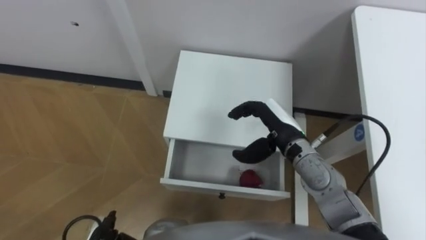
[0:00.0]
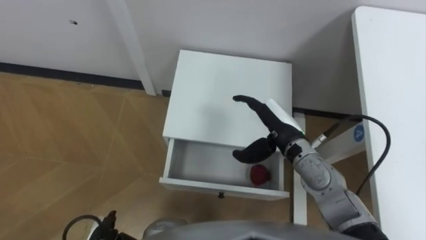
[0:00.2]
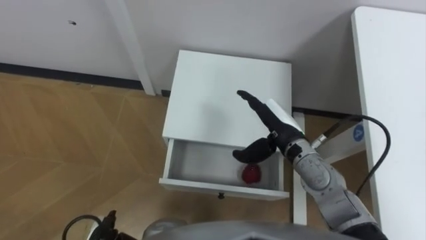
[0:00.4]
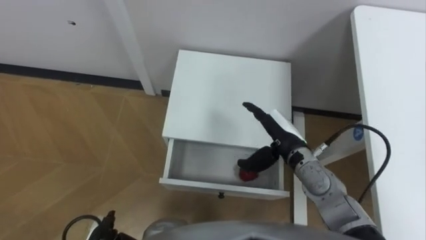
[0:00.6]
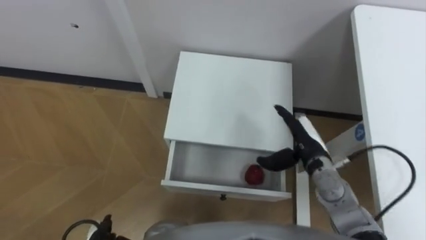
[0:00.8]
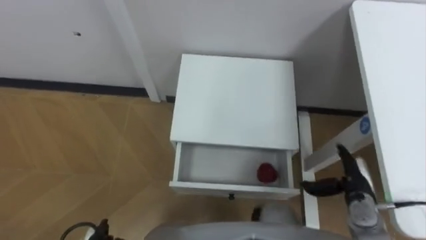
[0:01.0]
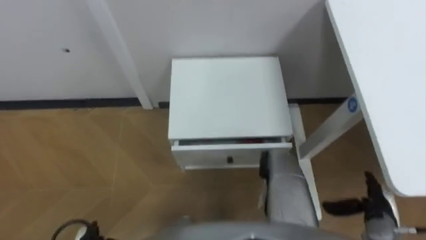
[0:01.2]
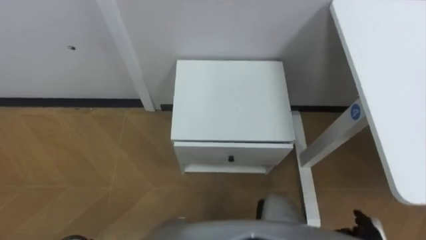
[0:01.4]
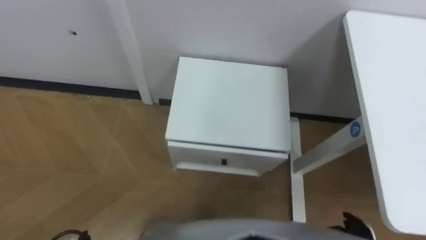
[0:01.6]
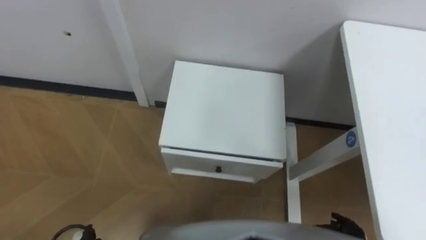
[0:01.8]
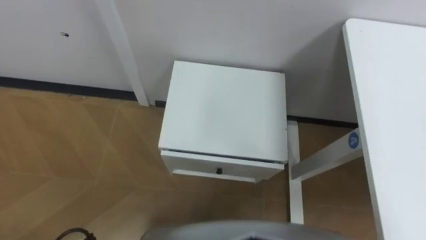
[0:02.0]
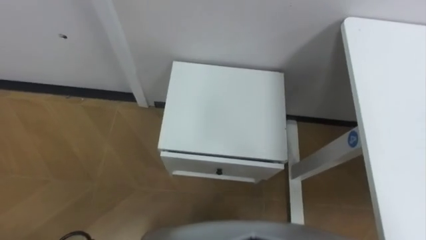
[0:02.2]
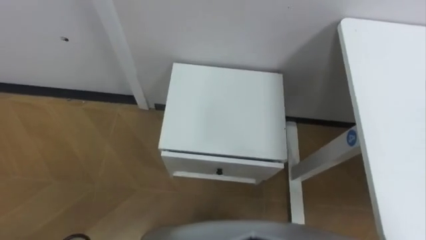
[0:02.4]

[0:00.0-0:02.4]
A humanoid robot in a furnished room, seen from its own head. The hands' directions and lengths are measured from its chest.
Task of the whole recording: Pick up the apple from the table, put it in the drawer, and close the drawer with leg.
0:00.0 to 0:01.2: The right hand heads to the right, backward and downward, covering about 25 cm.

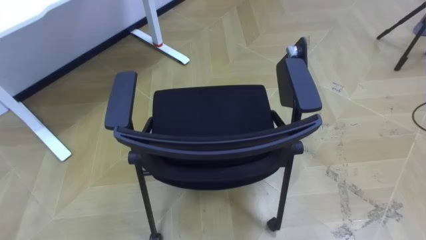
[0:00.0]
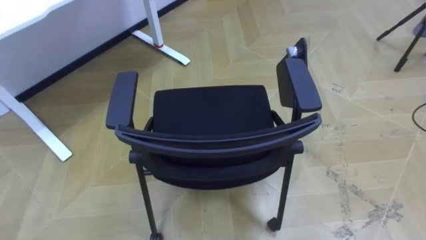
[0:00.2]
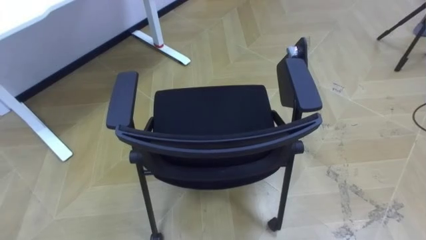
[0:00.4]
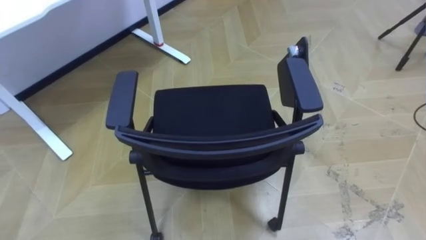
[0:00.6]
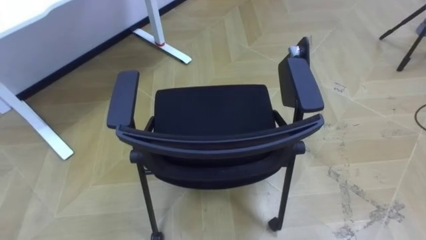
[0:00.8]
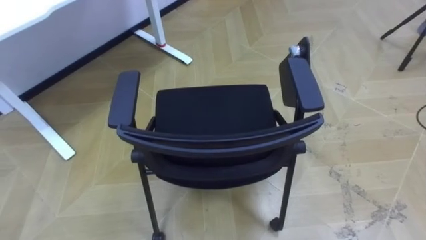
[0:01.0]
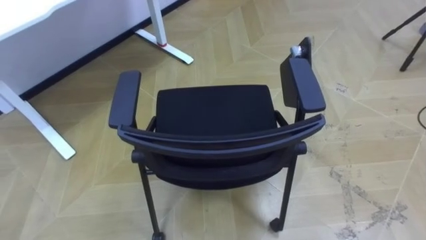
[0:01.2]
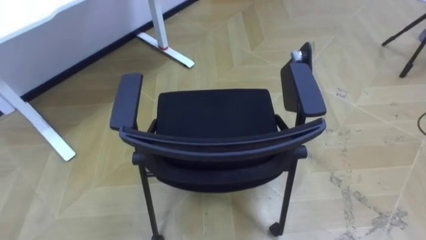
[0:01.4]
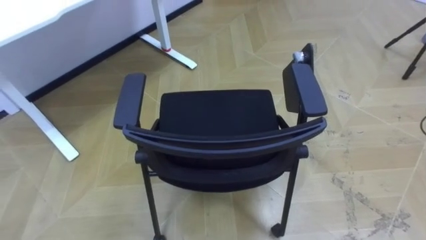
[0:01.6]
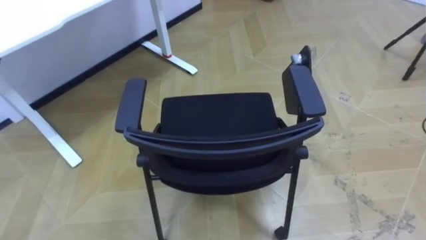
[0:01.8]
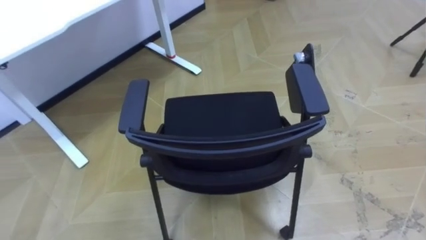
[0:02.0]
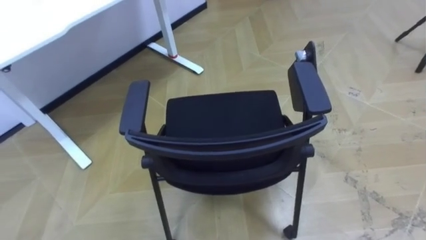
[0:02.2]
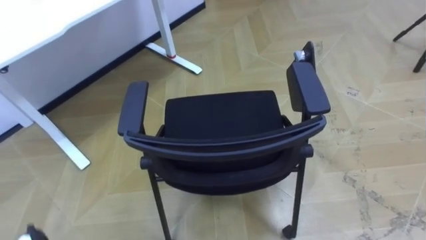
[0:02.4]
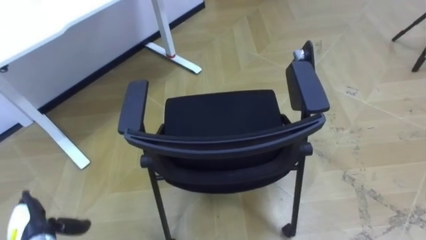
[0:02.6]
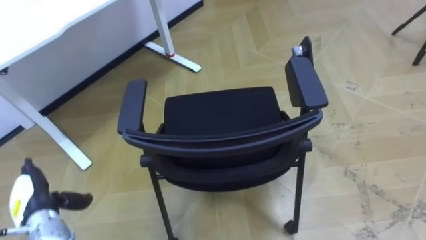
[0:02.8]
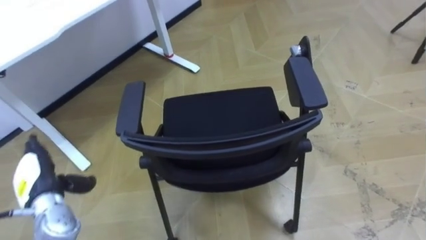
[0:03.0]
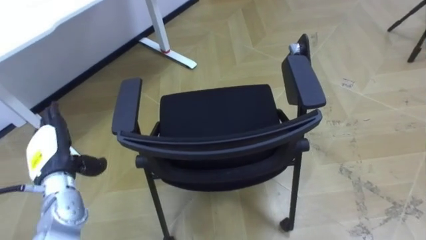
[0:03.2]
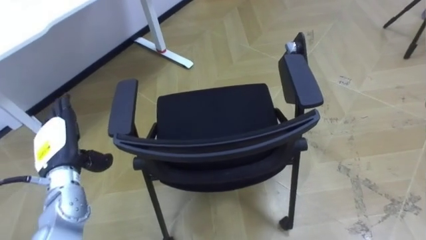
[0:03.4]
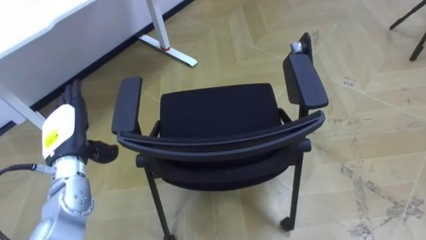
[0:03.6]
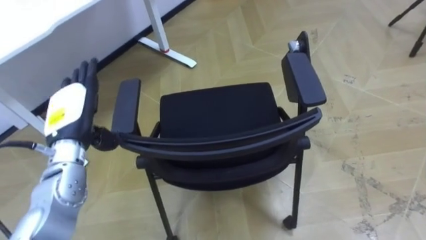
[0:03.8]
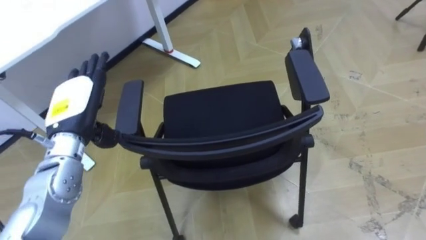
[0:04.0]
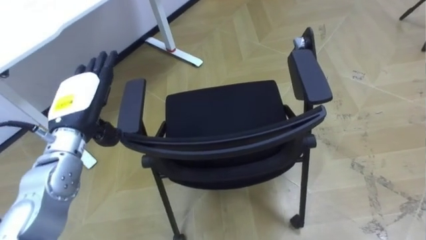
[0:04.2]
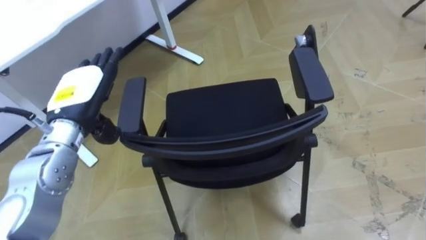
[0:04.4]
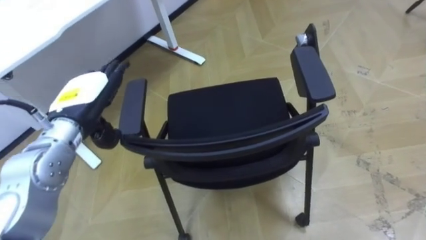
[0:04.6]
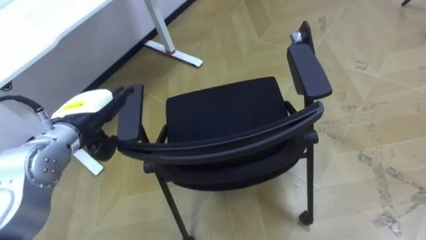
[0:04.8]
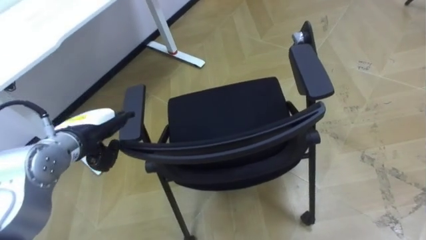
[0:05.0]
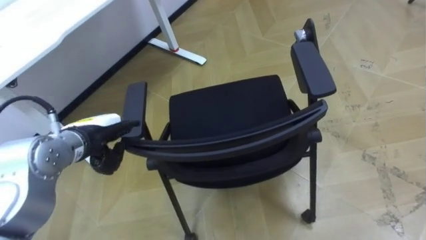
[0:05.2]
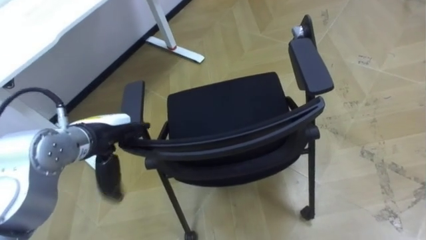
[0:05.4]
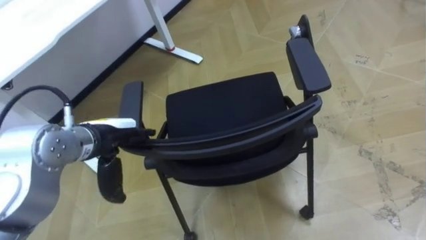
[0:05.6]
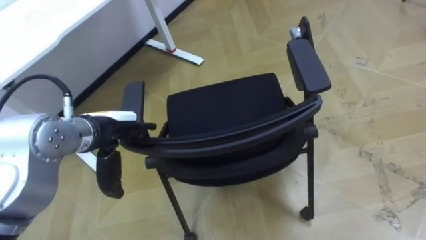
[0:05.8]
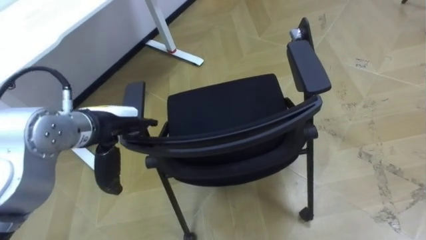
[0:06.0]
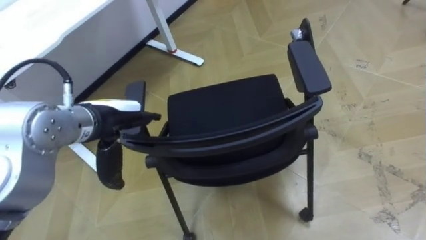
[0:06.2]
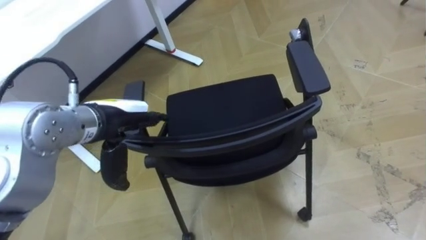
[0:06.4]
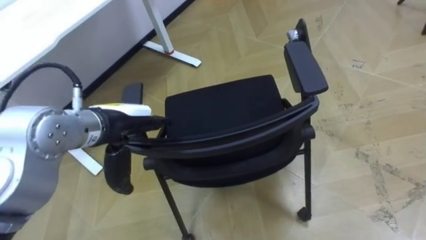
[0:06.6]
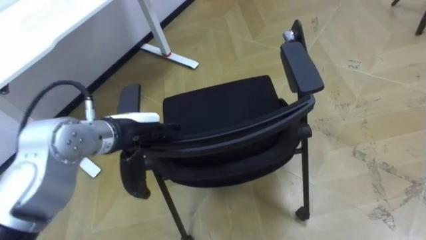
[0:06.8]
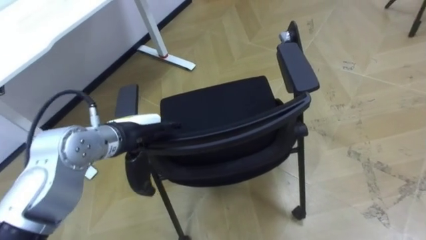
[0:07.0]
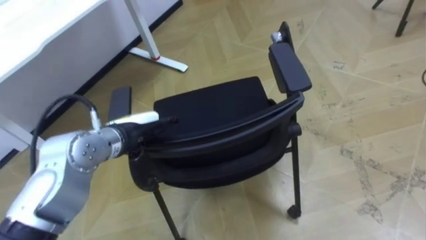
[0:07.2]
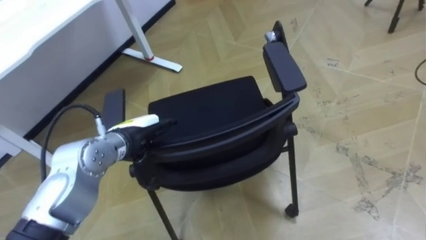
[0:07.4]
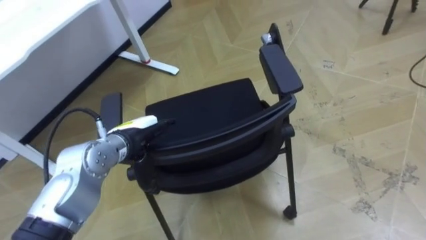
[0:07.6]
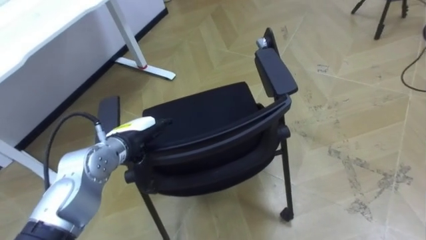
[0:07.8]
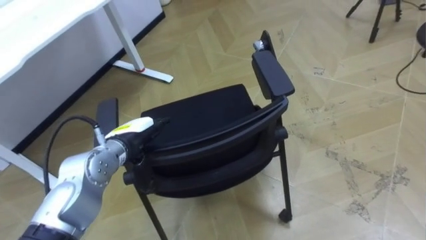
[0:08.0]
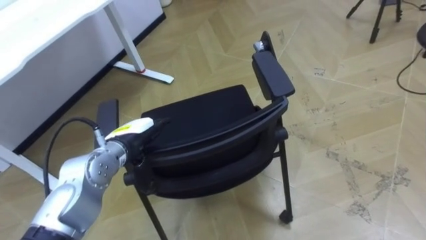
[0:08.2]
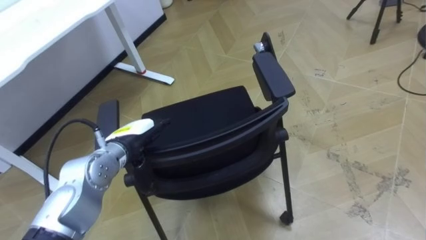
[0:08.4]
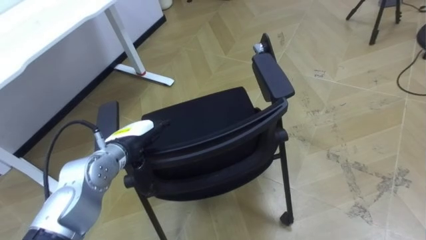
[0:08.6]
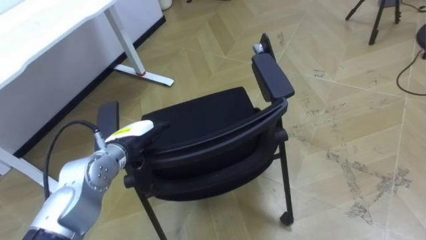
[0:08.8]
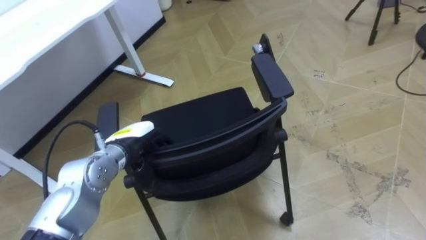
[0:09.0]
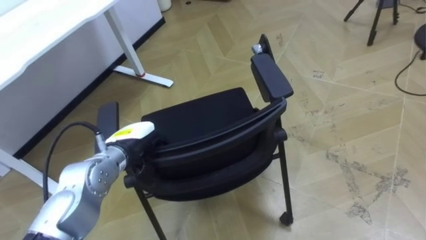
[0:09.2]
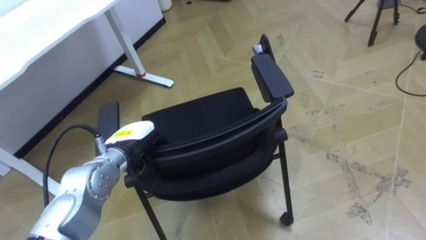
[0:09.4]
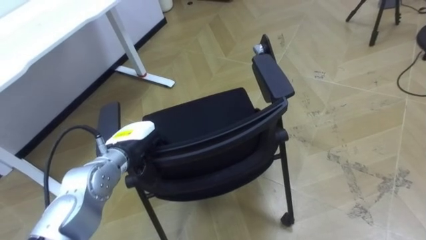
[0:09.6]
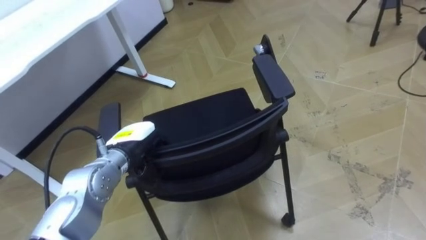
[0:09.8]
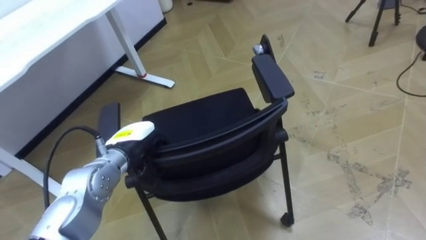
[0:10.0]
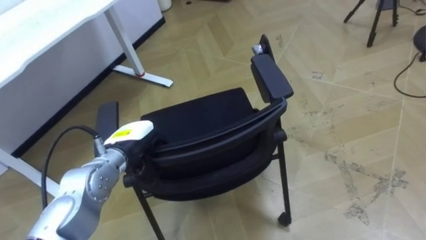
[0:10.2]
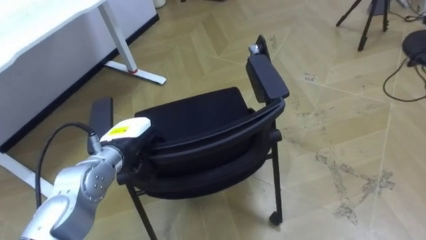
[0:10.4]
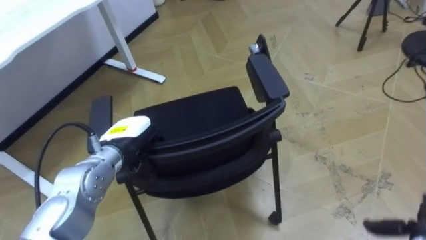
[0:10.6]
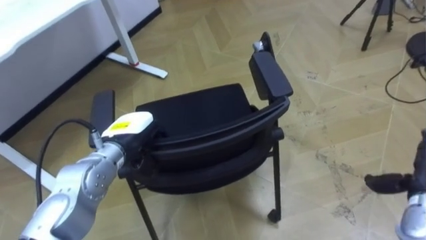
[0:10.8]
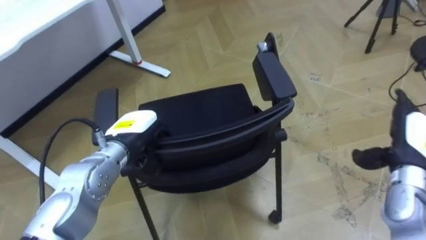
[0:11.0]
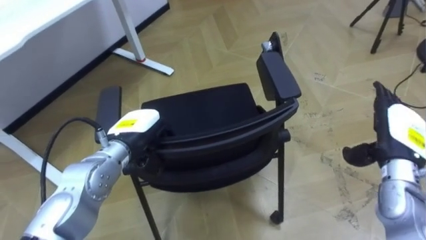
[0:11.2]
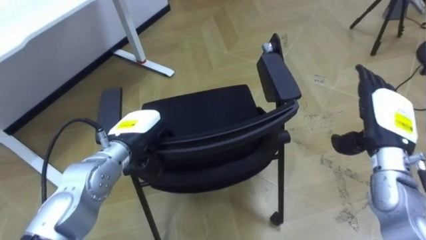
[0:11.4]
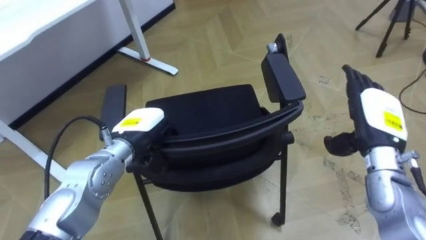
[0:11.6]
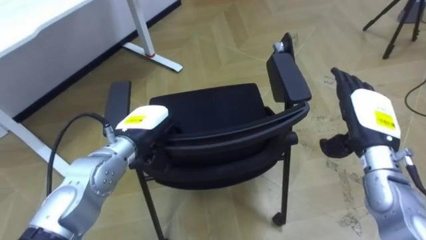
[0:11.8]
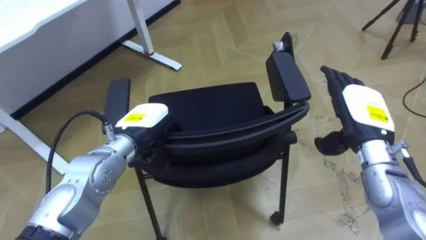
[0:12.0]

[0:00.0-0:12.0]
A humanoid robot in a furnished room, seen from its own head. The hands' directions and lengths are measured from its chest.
Task of the whole recording: Push the chair under the table.
0:03.0 to 0:04.4: The left hand goes approximately 20 cm upward, to the right and forward.
0:04.4 to 0:06.0: The left hand moves some 5 cm.
0:06.0 to 0:07.6: The left hand heads downward, covering some 10 cm.
0:07.6 to 0:09.0: The left hand closes up.

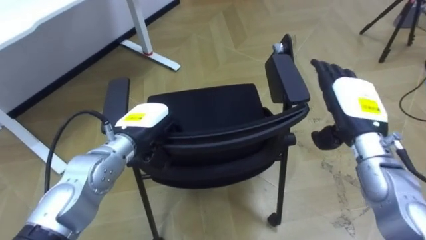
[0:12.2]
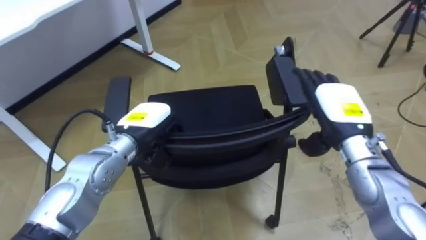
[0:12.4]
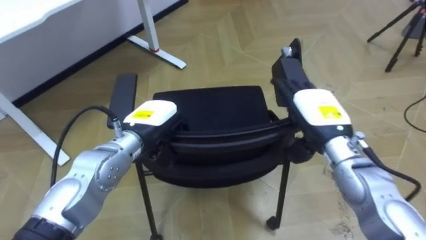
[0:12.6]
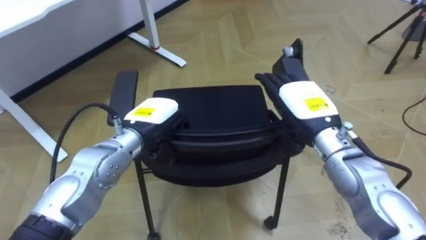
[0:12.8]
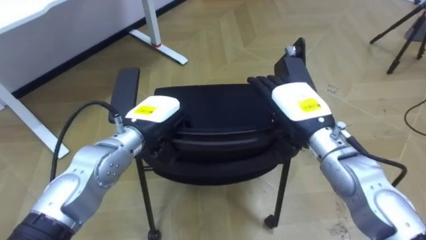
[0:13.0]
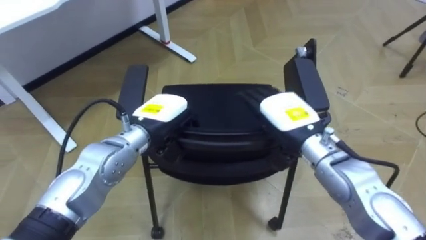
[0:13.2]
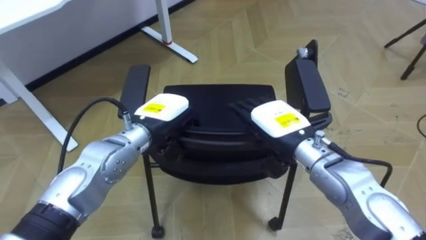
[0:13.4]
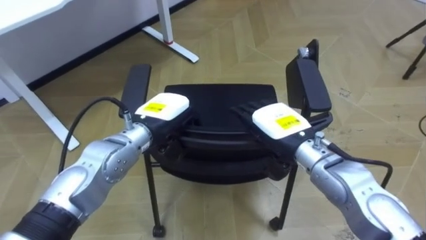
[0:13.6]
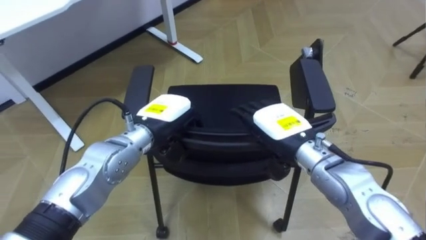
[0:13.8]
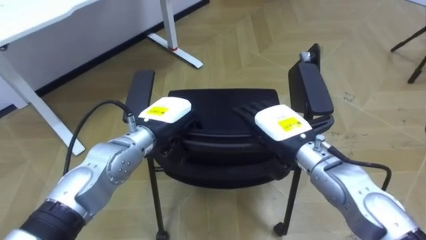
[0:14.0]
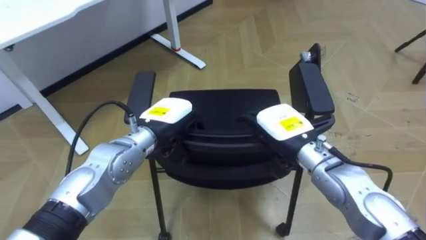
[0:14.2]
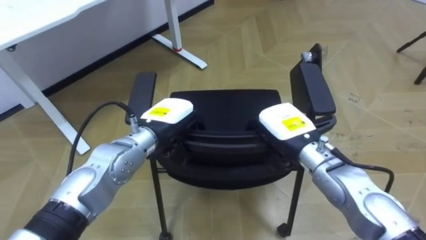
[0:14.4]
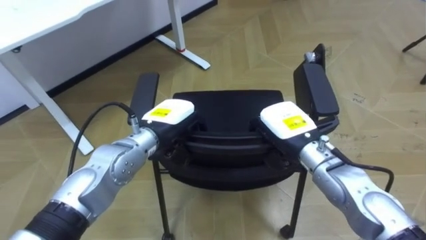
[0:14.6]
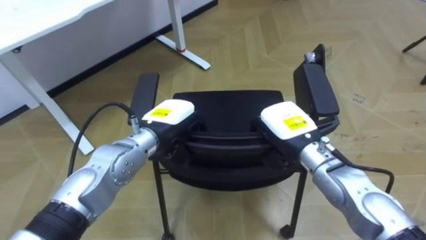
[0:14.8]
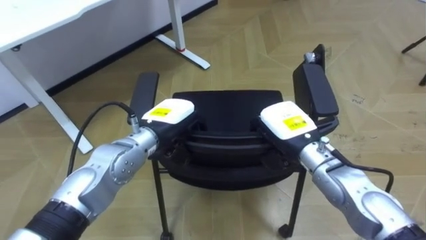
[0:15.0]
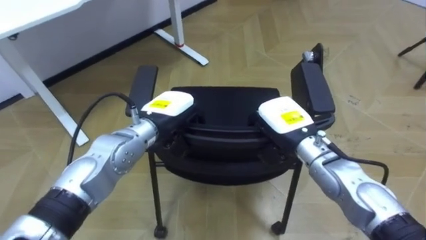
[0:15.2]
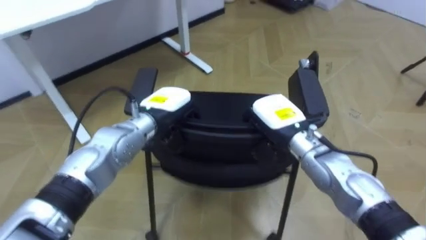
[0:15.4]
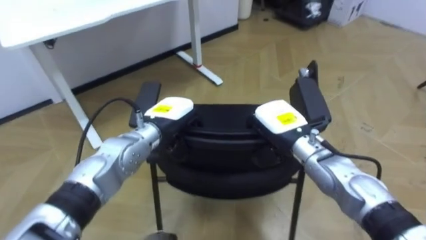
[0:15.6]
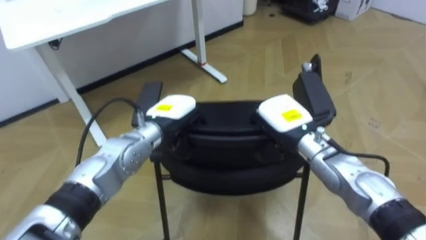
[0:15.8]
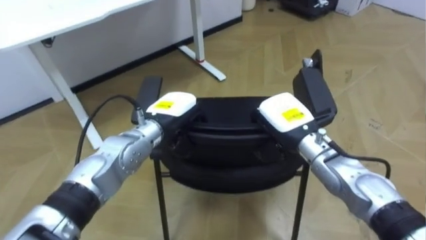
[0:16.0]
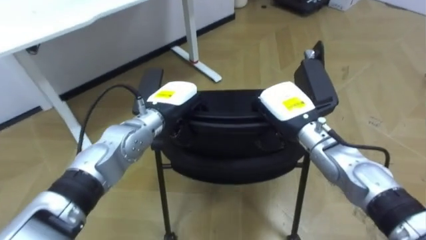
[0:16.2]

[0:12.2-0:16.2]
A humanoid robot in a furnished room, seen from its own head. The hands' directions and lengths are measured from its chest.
Task of the whole recording: Push the chair under the table.
0:12.2 to 0:13.6: The right hand goes some 10 cm to the left.
0:13.6 to 0:14.8: The right hand closes.
